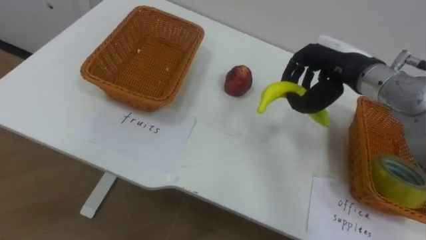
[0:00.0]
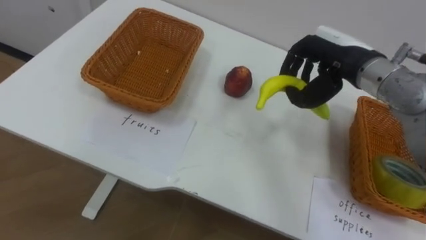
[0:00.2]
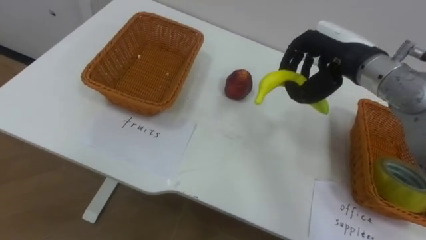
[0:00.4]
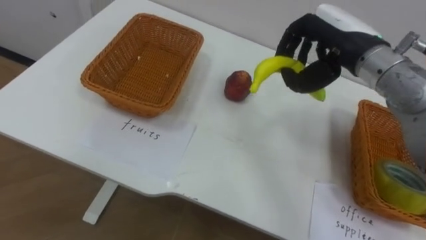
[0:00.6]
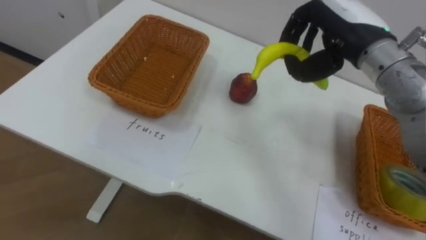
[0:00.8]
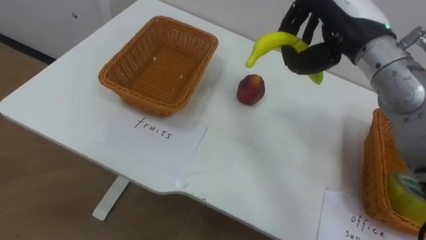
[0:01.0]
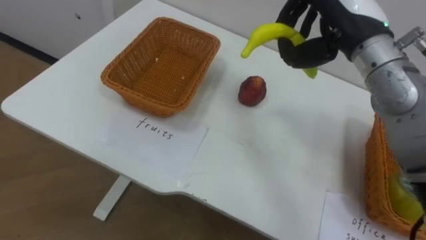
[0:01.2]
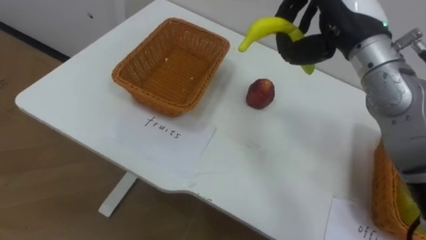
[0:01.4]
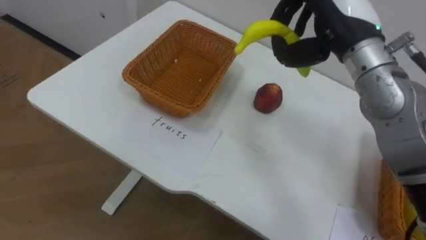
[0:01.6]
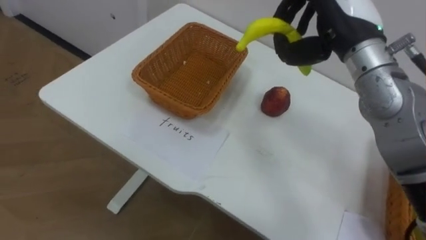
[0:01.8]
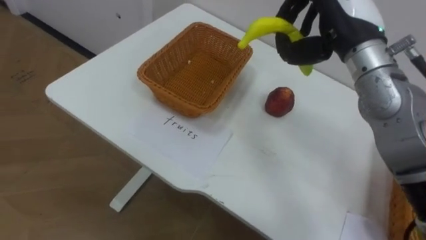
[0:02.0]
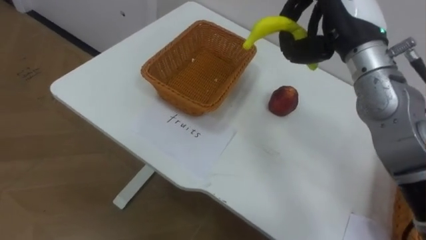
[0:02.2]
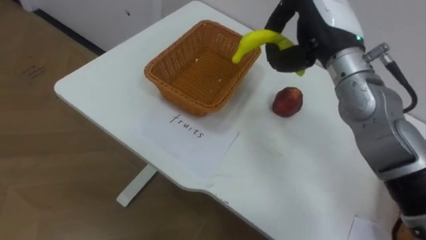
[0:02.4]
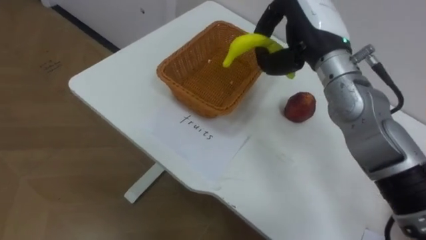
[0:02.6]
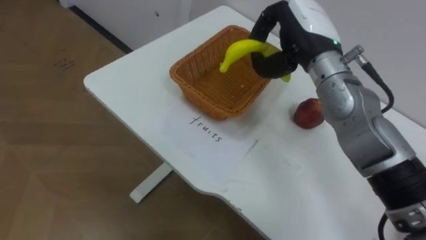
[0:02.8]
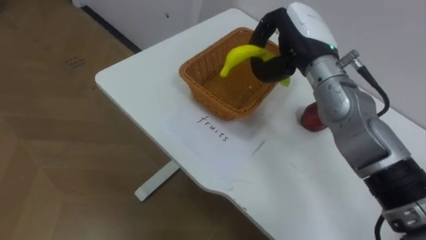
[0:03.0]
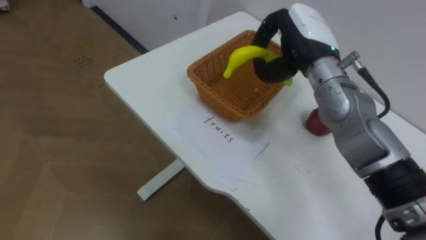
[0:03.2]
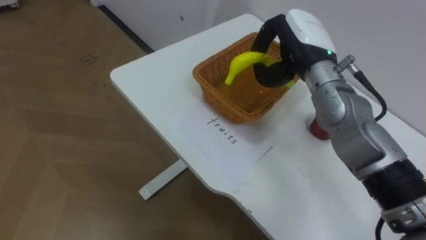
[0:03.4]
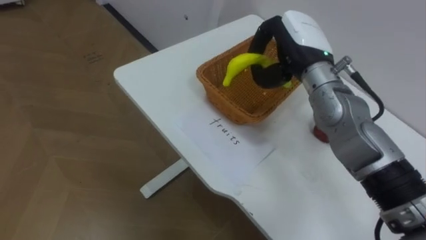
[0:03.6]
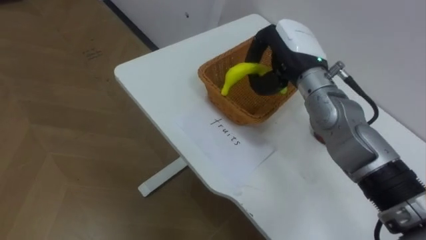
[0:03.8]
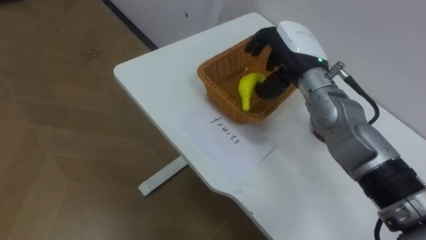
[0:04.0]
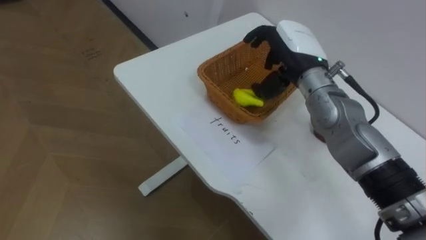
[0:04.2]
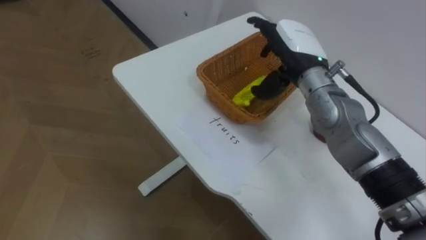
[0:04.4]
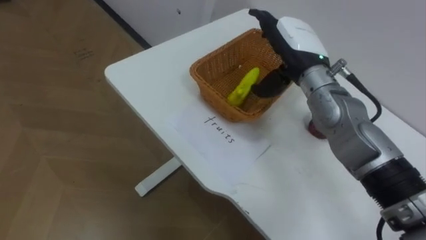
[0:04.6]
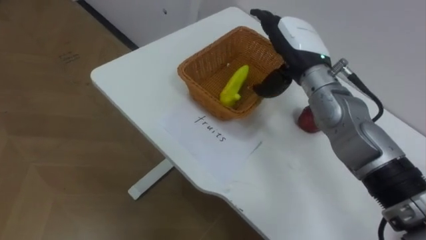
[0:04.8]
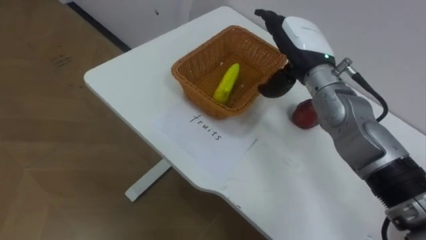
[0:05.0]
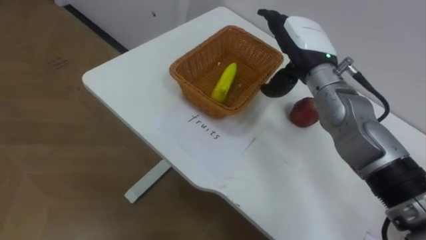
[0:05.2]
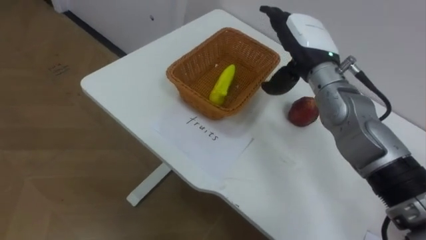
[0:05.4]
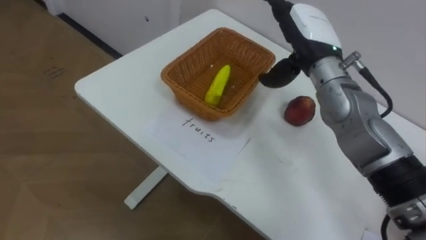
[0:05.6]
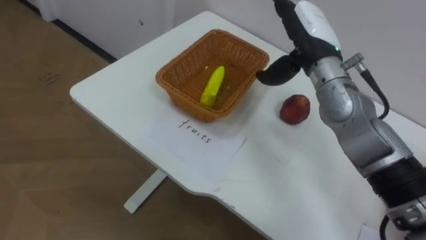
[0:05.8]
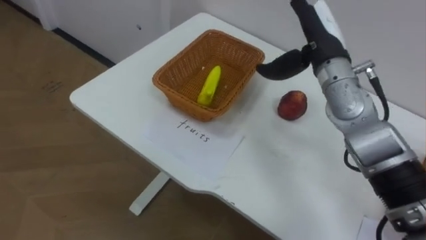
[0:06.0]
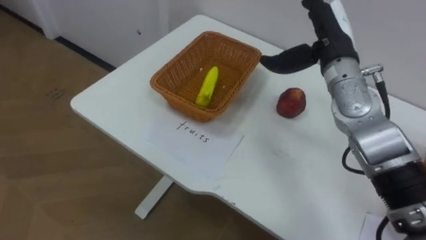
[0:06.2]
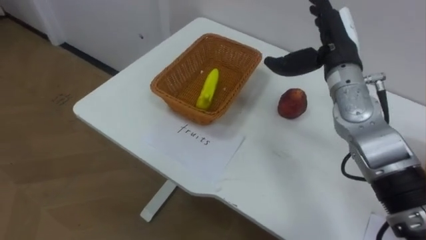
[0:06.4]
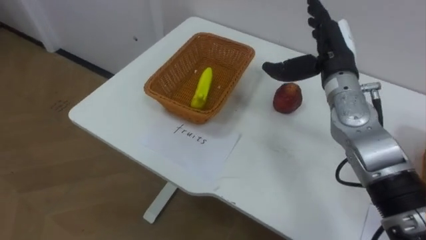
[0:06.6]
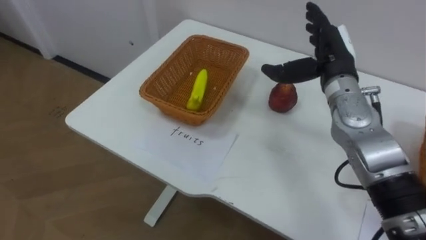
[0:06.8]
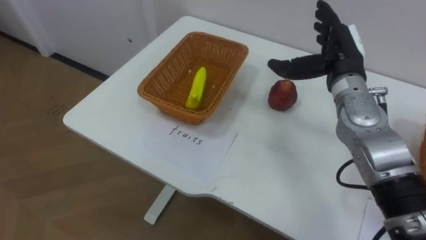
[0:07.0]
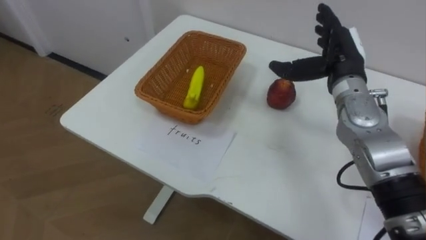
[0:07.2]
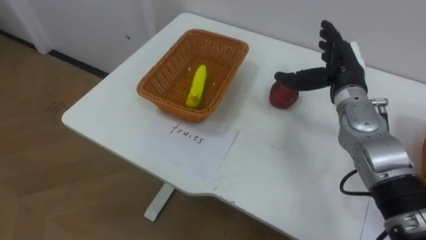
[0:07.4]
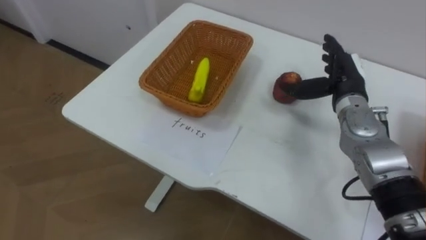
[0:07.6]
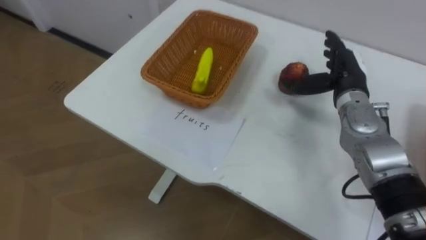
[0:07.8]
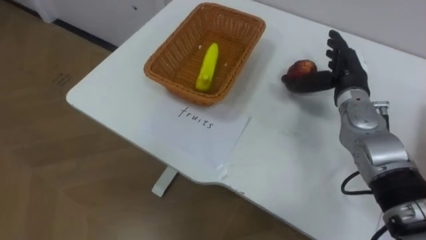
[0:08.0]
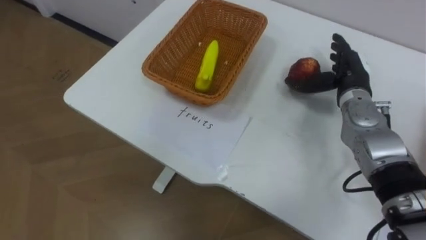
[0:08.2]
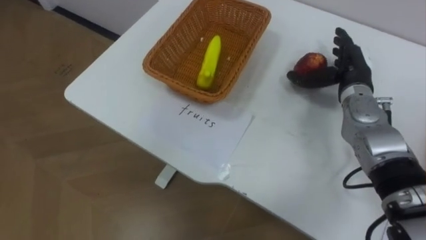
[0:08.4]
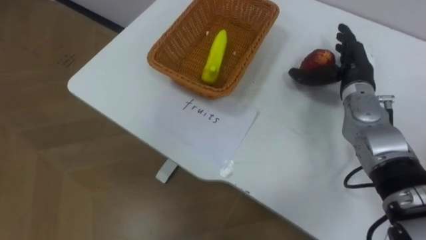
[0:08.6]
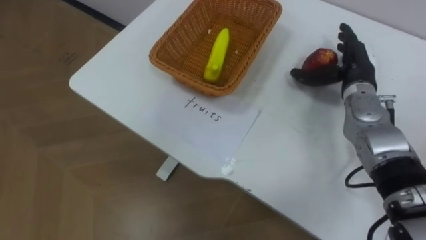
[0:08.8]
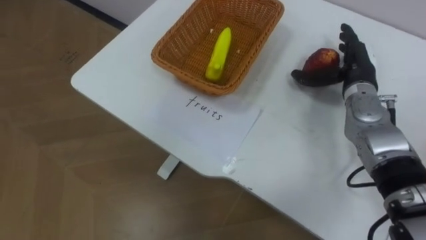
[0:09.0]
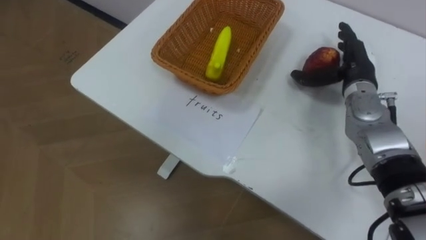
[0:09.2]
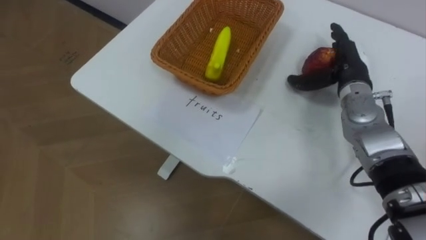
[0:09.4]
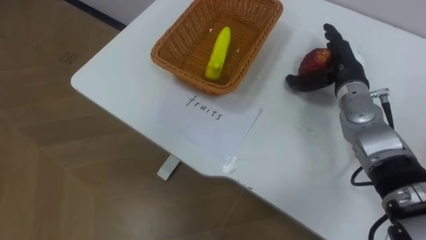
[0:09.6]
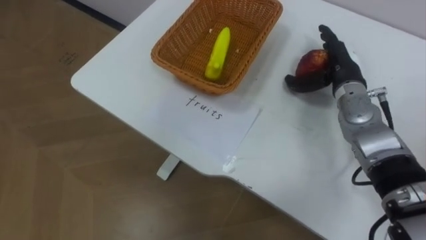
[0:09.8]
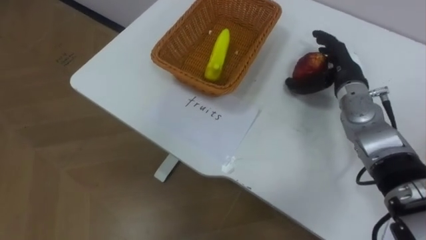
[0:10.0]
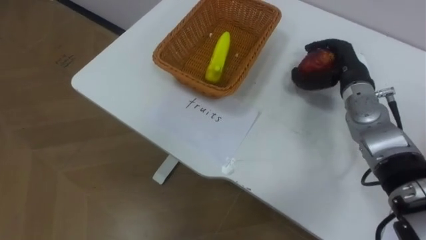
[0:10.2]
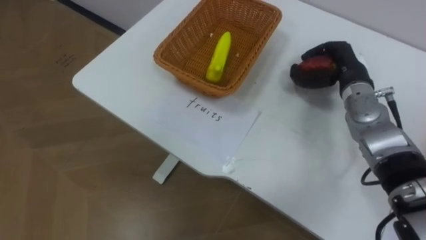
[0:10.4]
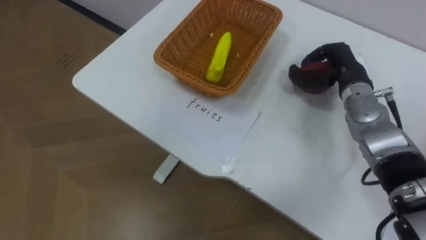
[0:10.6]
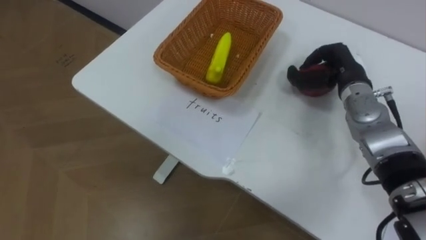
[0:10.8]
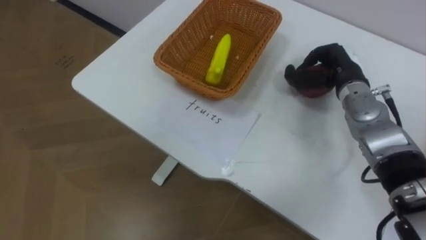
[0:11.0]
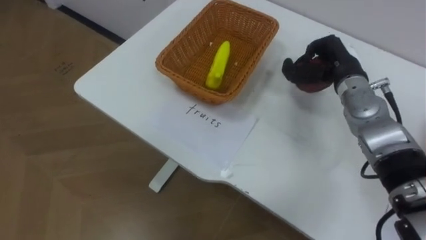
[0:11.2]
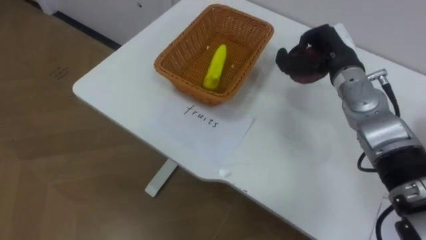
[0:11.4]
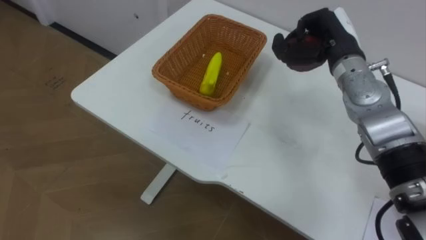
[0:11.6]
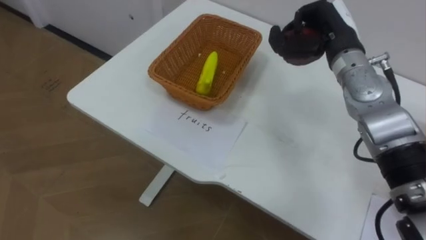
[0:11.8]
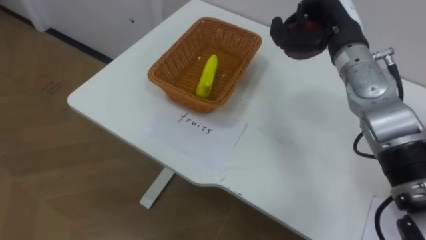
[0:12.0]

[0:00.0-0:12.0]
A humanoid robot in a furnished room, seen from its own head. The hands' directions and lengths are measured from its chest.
Task of the whole recording: Separate the items on the table and place them into the two baskets.
0:00.0 to 0:01.6: The right hand is displaced upward by about 10 cm.
0:01.6 to 0:03.0: The right hand goes approximately 5 cm downward.
0:03.0 to 0:04.4: The right hand opens up.
0:06.0 to 0:07.6: The right hand shifts approximately 10 cm downward and to the right.
0:09.0 to 0:10.4: The right hand closes its fingers.
0:10.4 to 0:12.0: The right hand travels upward by approximately 10 cm.

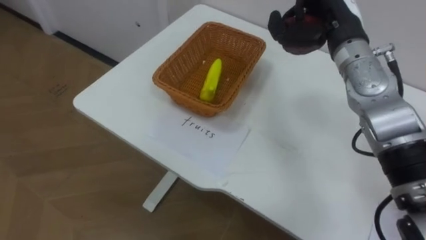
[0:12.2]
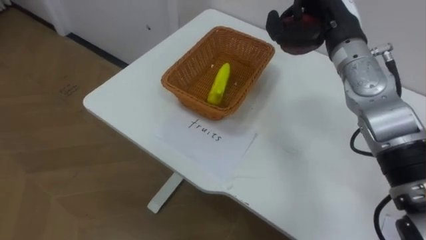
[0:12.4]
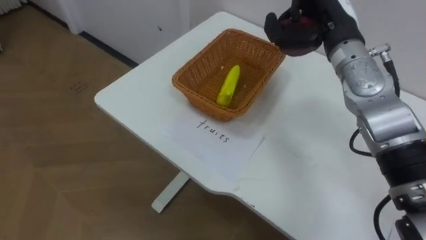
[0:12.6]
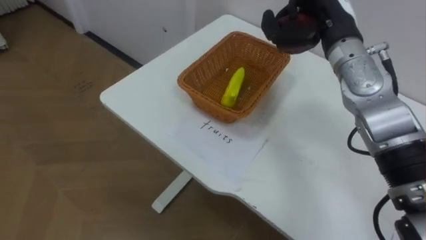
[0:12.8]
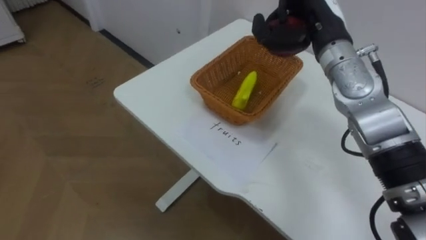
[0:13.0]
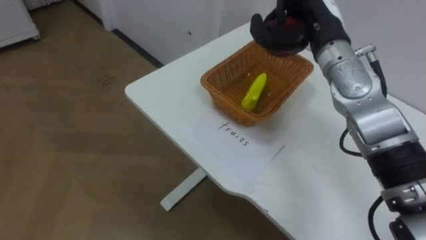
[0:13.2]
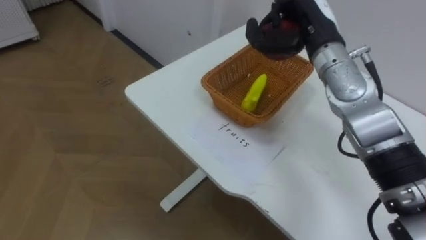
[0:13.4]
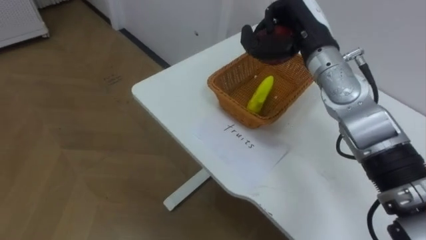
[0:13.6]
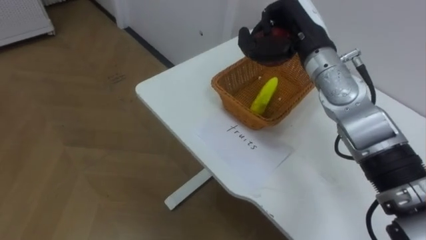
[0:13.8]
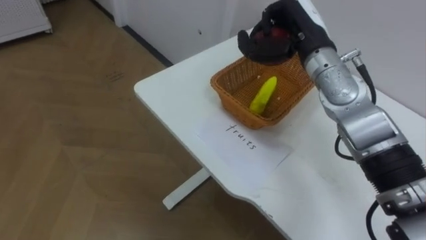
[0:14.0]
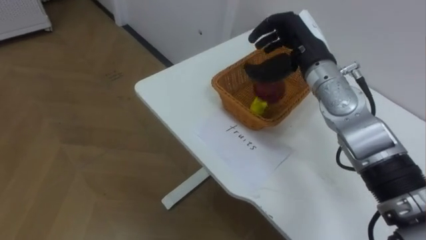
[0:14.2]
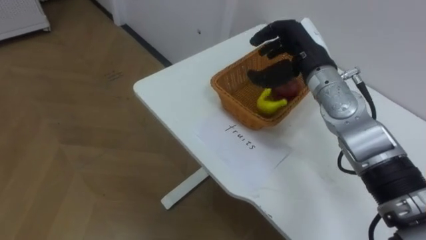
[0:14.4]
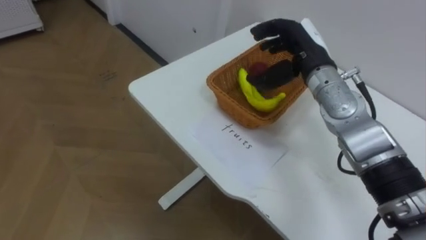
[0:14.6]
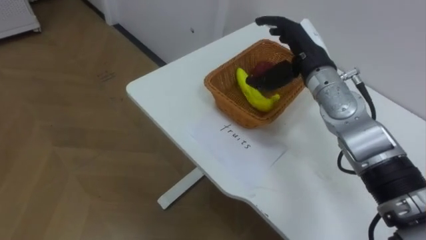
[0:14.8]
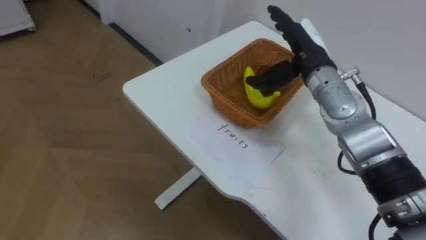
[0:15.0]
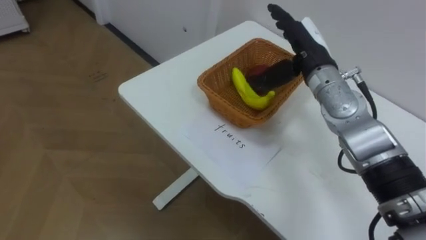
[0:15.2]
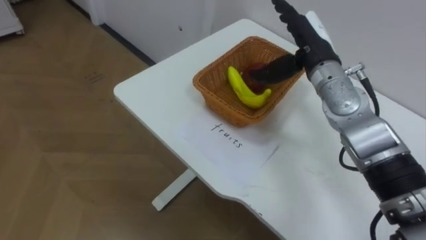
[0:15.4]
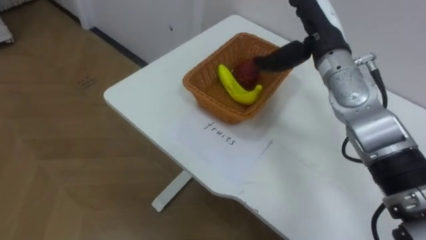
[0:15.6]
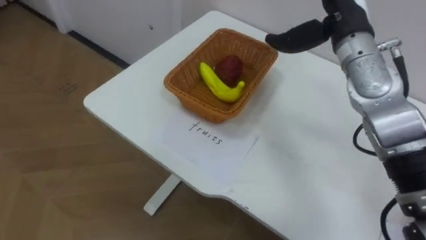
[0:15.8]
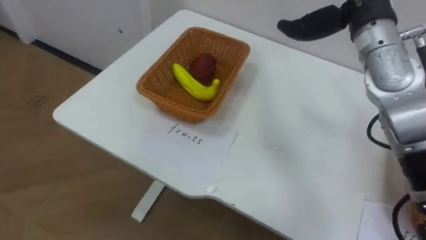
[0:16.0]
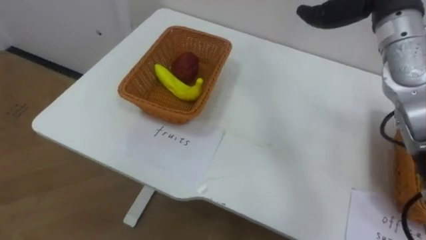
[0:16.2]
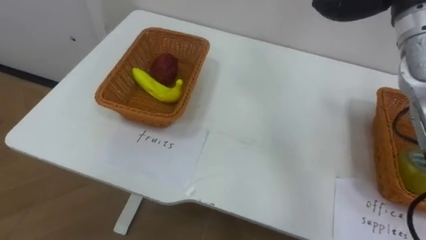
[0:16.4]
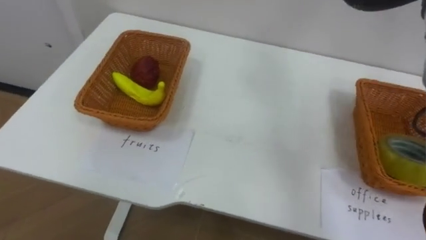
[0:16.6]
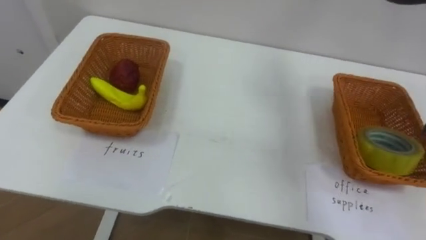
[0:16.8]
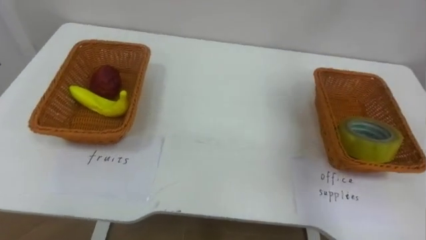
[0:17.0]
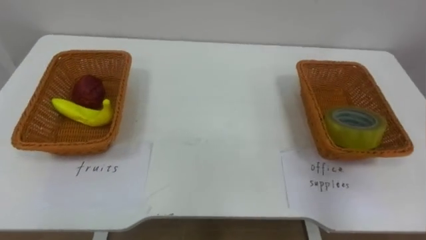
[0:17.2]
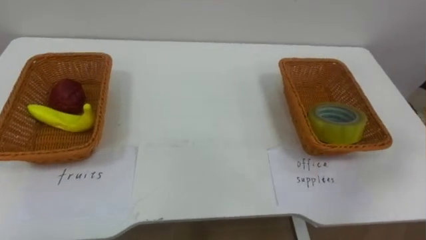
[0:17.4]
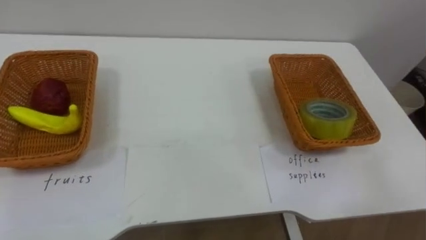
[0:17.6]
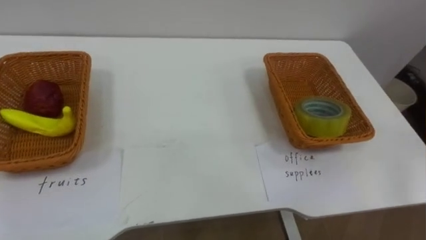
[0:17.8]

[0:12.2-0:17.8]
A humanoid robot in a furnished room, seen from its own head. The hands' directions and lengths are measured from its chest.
Task of the whole recording: Separate the items on the table and place them into the two baskets.
0:13.6 to 0:15.0: The right hand opens.
